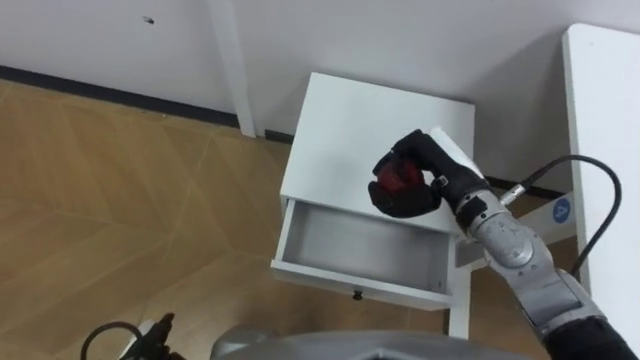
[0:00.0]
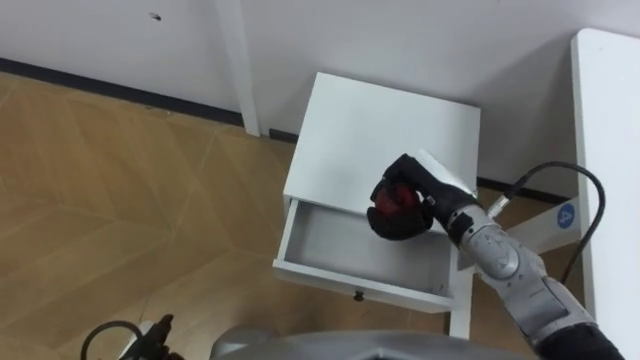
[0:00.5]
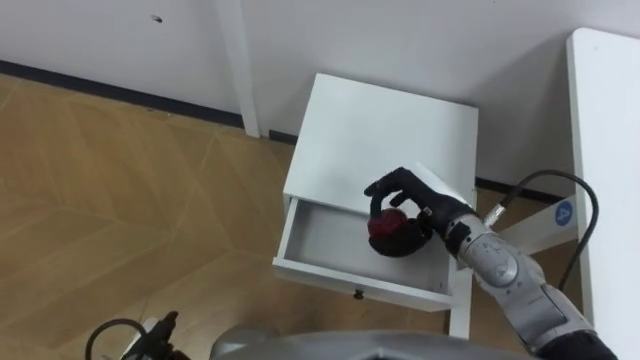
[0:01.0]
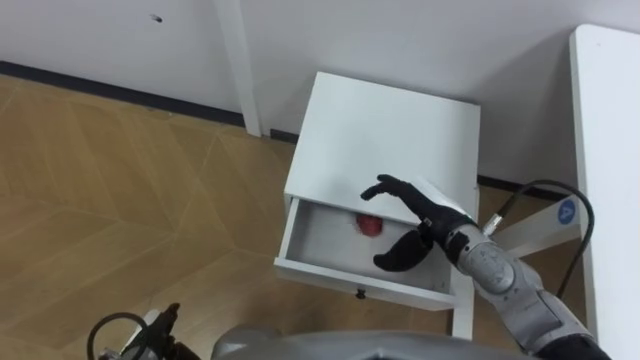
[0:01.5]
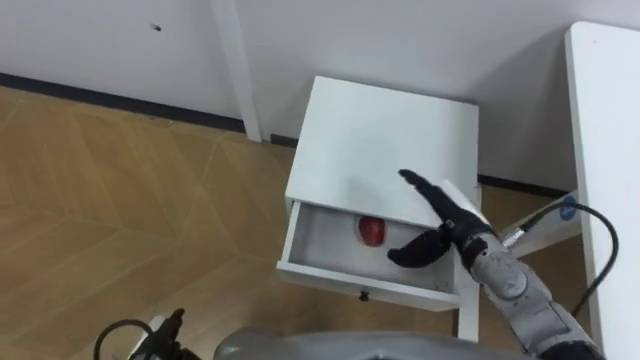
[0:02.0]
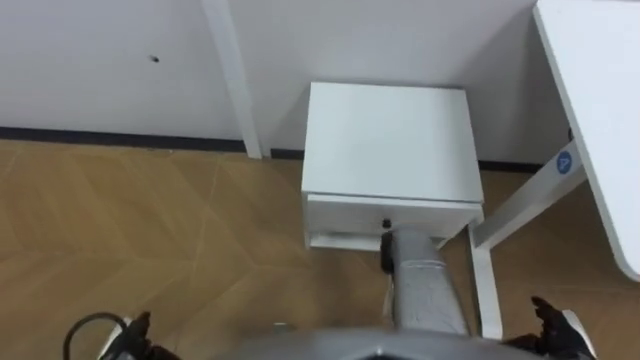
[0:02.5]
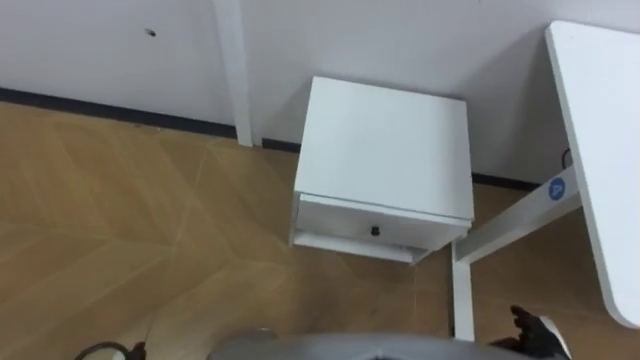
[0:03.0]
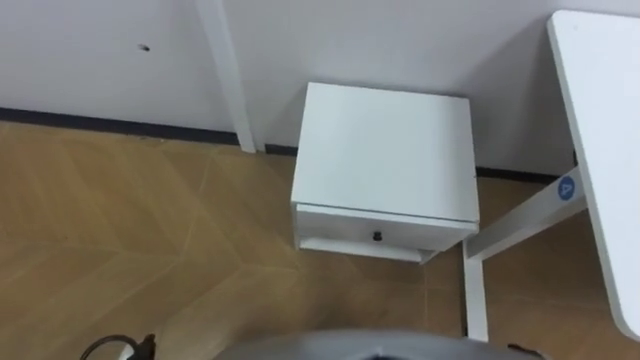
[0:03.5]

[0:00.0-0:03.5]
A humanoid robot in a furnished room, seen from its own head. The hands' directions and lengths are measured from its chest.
Task of the whole recording: Pick up the apple from the table, put it in the drawer, and close the drawer with leg.
0:00.0 to 0:02.0: The right hand moves downward, some 5 cm, and opens its fingers.

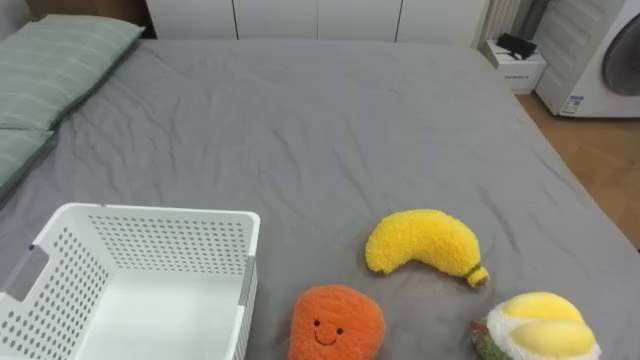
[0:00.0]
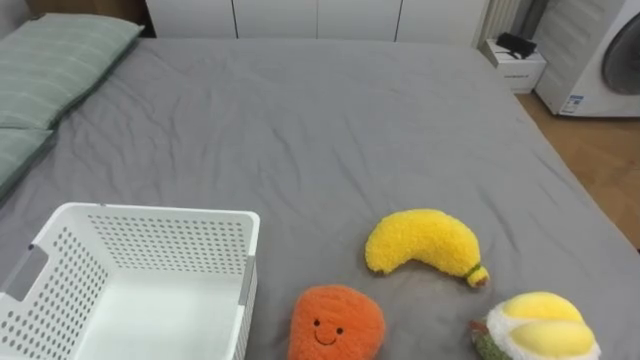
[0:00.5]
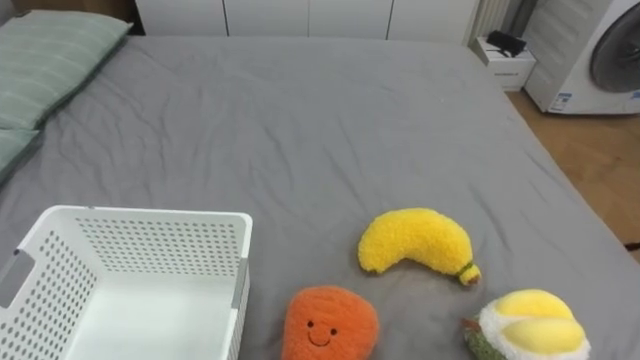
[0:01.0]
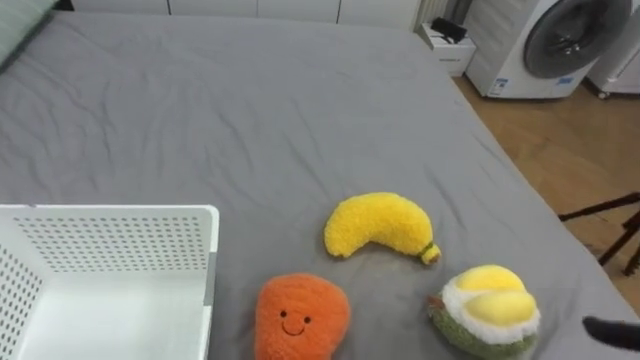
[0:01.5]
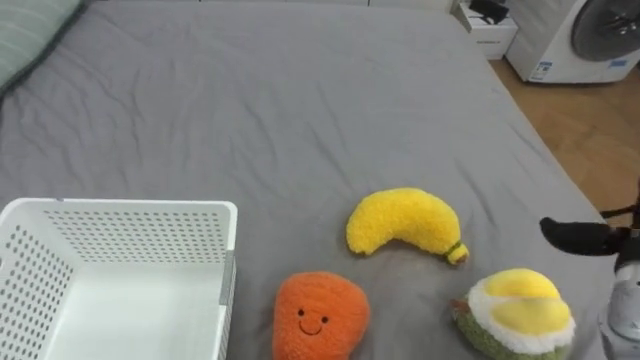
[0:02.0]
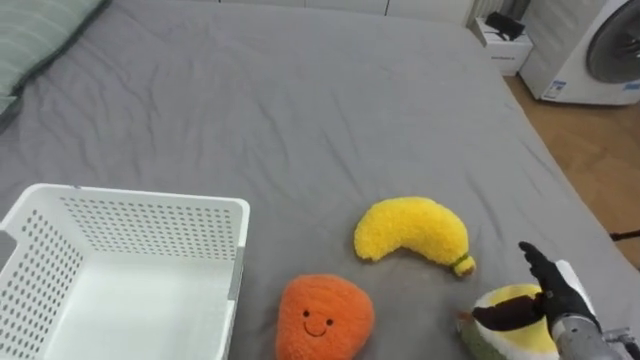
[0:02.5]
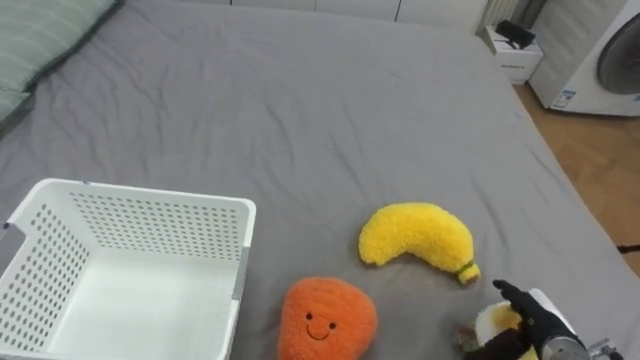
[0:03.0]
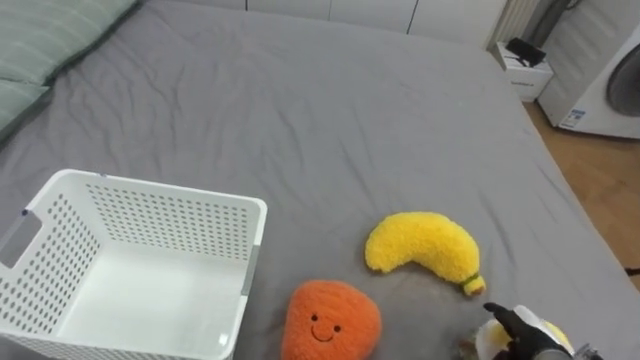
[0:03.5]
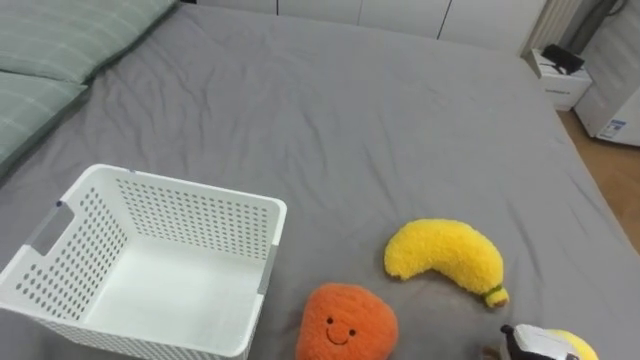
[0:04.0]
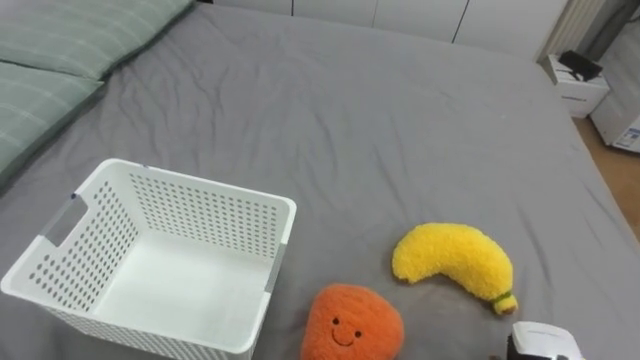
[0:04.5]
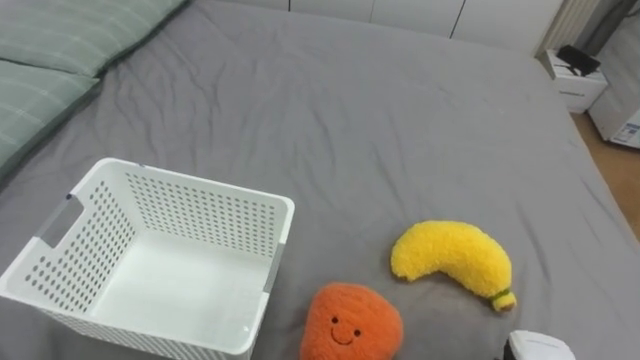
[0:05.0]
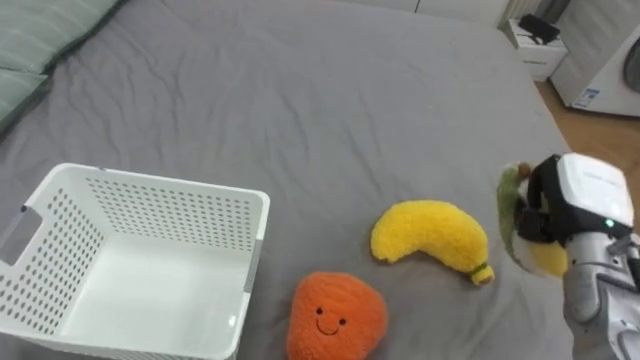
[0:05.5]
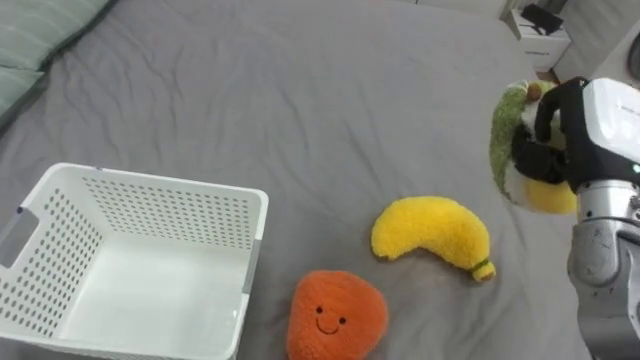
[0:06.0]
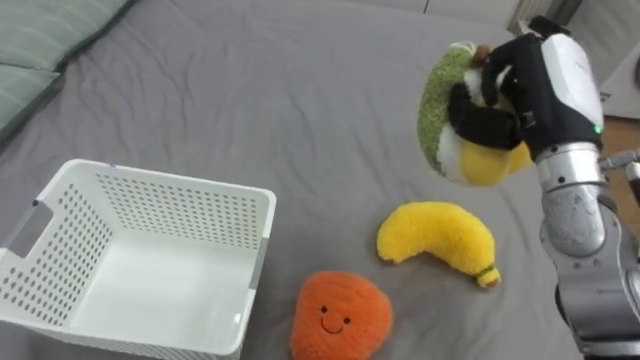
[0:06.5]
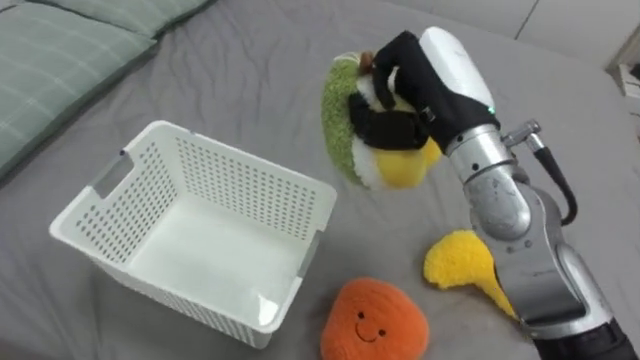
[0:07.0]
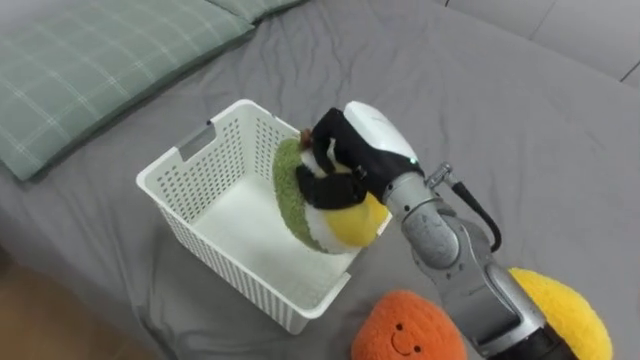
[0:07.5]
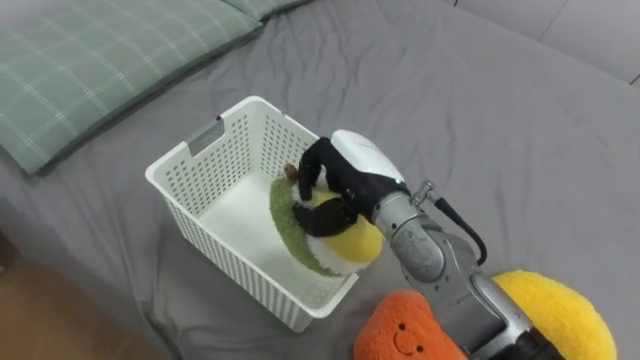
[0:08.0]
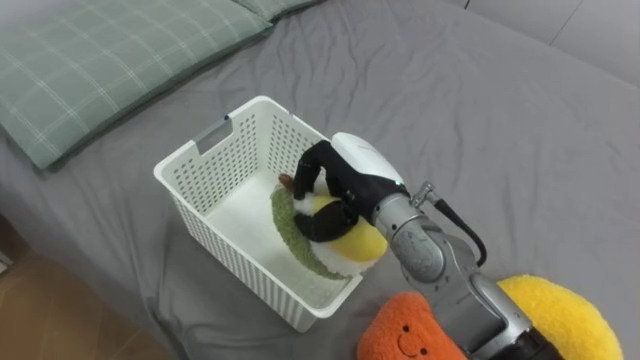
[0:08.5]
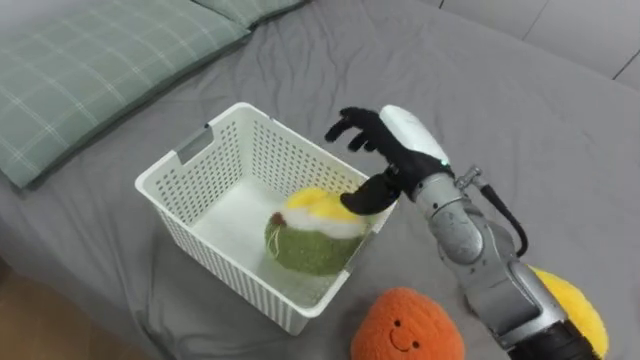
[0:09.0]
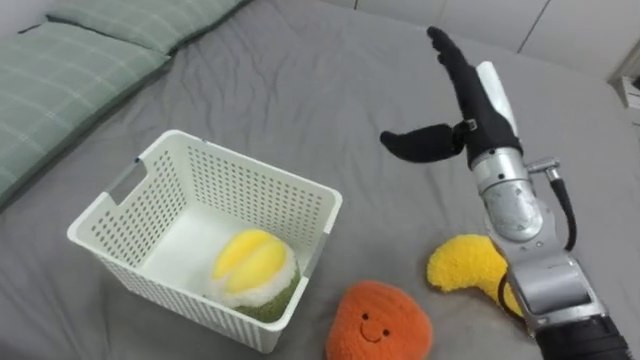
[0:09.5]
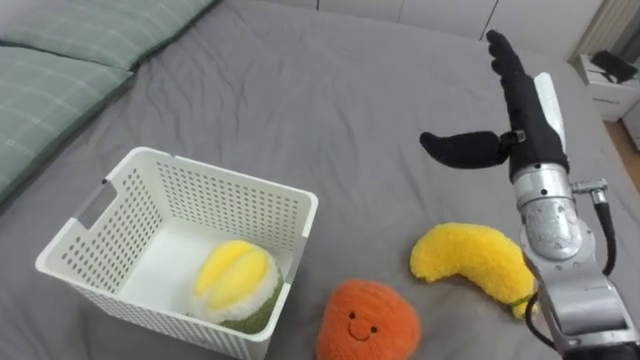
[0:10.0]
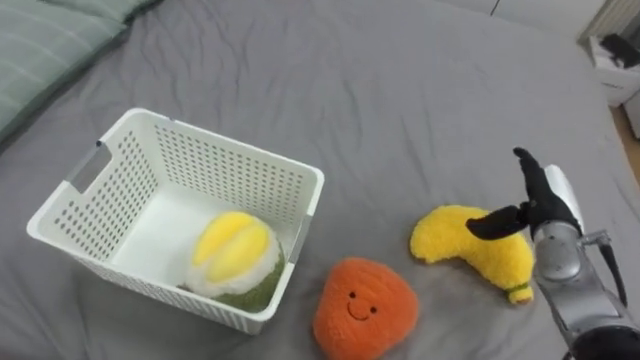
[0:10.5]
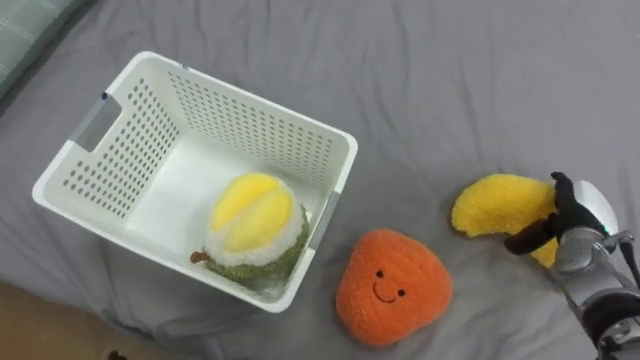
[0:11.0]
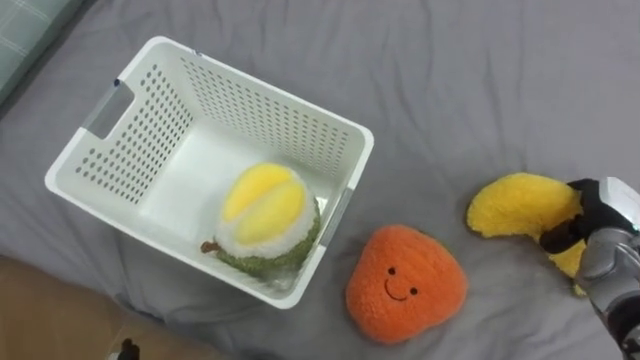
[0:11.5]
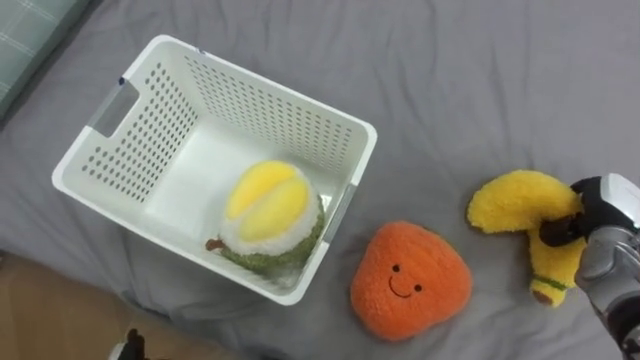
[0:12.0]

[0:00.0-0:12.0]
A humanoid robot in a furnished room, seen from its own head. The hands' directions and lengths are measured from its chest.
Task of the whole recording: Put the toys on the bed into the basket on the left.
0:06.0 to 0:08.0: The right hand is displaced to the left by approximately 25 cm.
0:08.0 to 0:10.0: The right hand is displaced to the right by roughly 20 cm, and opens its fingers.
0:10.0 to 0:12.0: The right hand moves to the right and downward, roughly 20 cm, and closes.

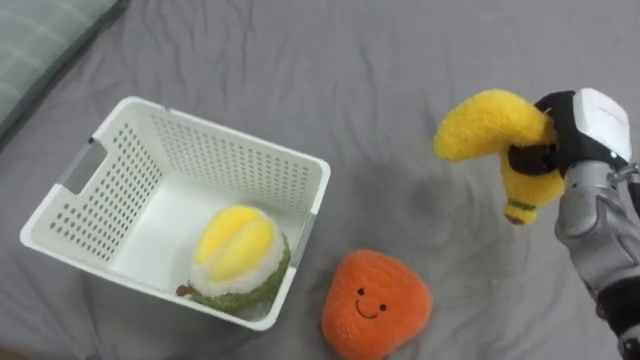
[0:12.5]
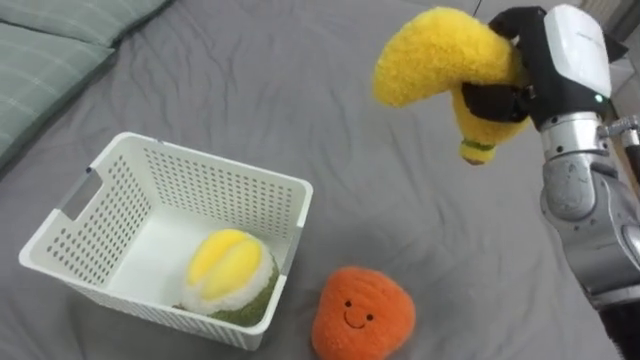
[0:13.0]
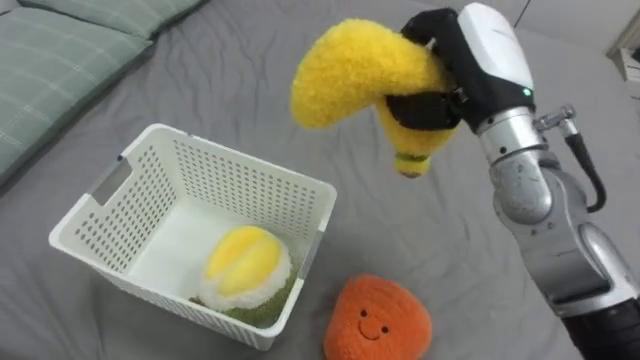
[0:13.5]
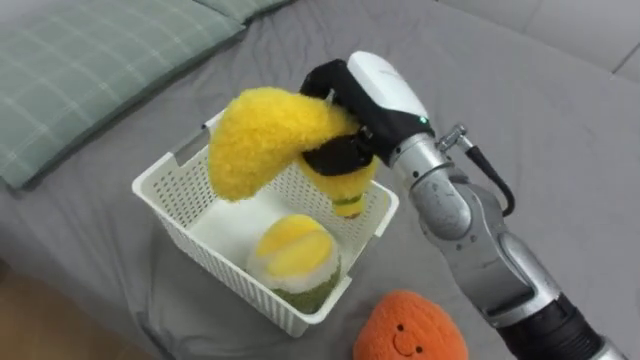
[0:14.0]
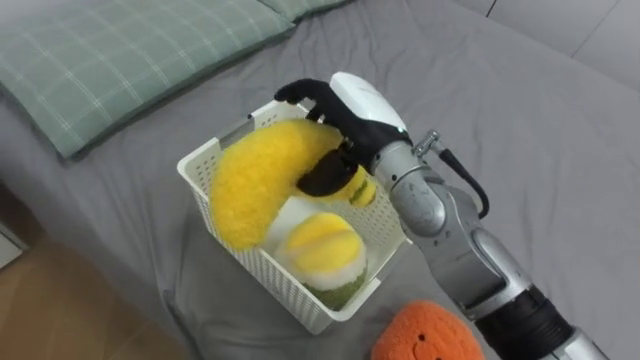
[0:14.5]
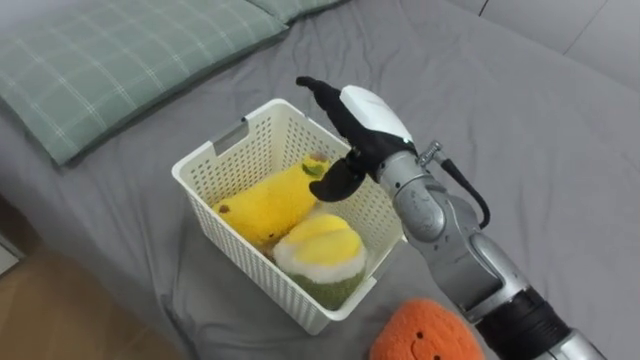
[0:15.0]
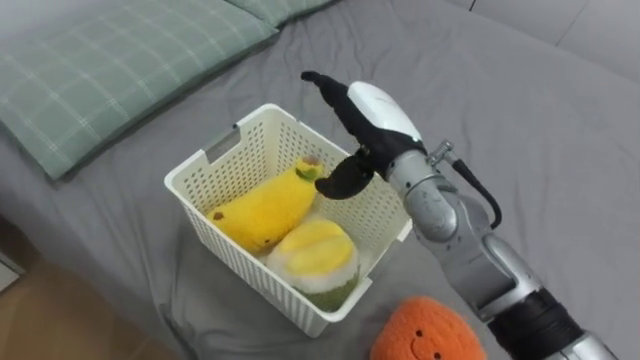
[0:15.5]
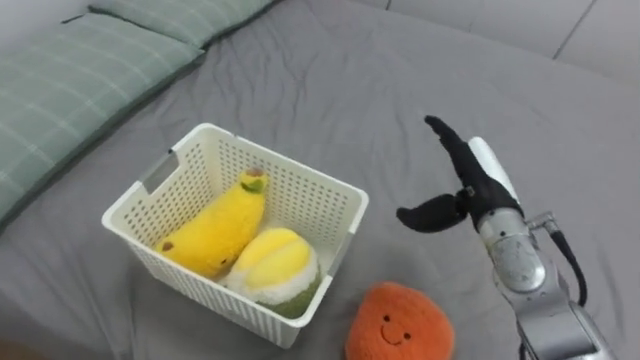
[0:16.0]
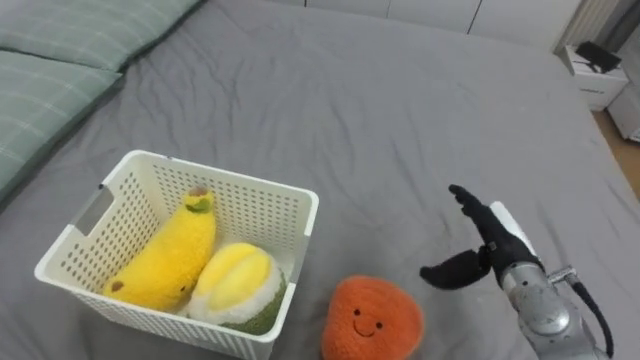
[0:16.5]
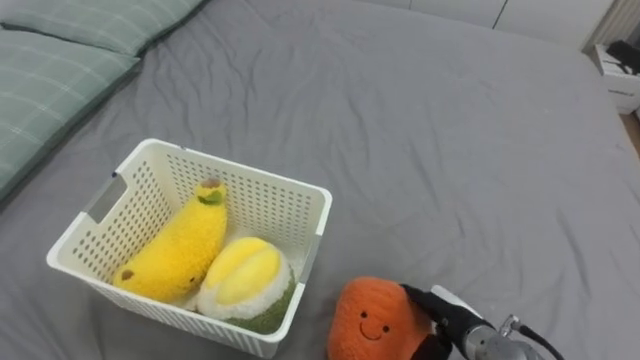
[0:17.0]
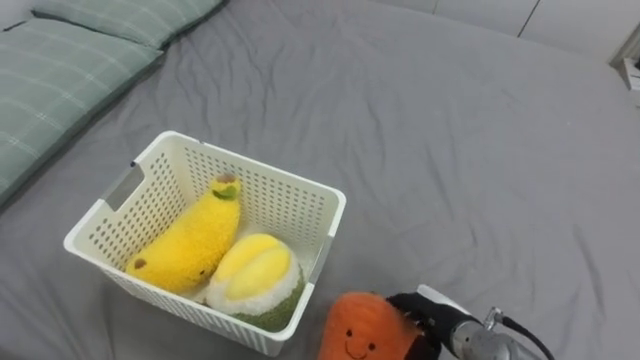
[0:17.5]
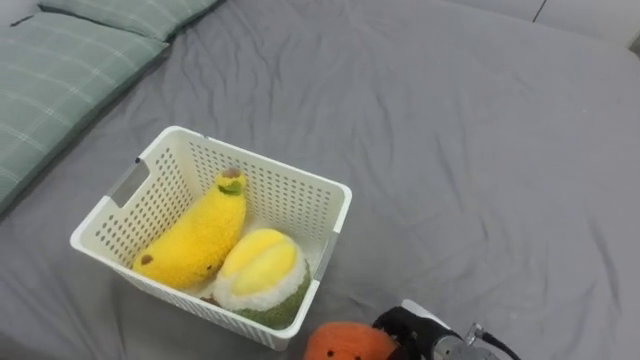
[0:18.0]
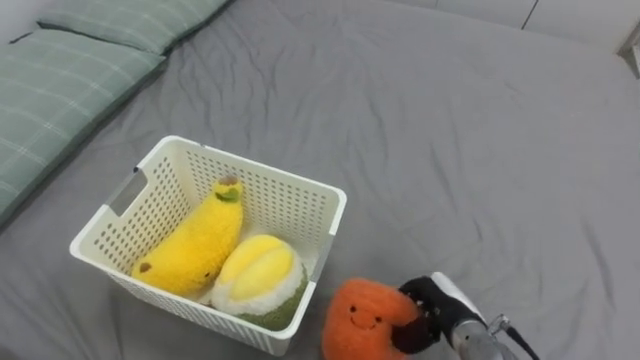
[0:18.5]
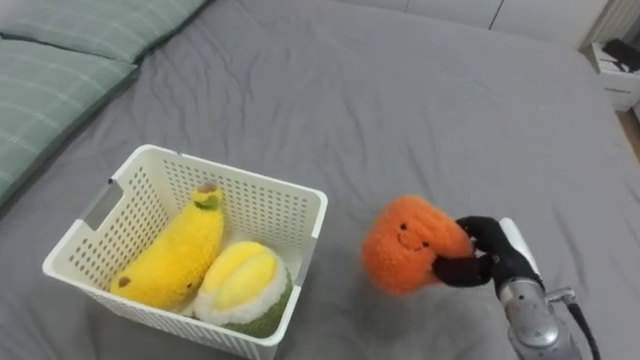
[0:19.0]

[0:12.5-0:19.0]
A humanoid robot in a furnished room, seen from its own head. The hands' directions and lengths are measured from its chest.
Task of the whole recording: Put the toys on the bed into the basket on the left.
0:12.5 to 0:14.5: The right hand moves to the left, about 30 cm, and opens up.
0:14.5 to 0:17.0: The right hand goes about 30 cm downward, to the right and backward.
0:17.0 to 0:19.0: The right hand moves upward, to the right and forward, about 10 cm, and closes its fingers.
